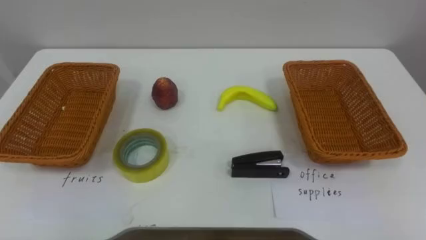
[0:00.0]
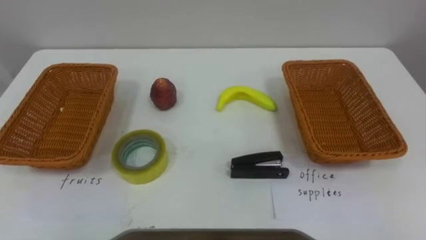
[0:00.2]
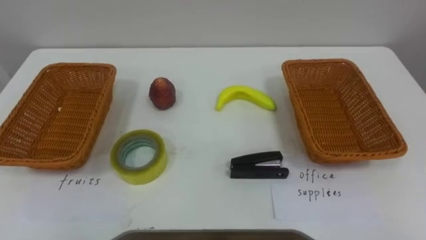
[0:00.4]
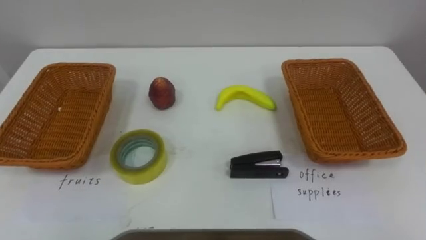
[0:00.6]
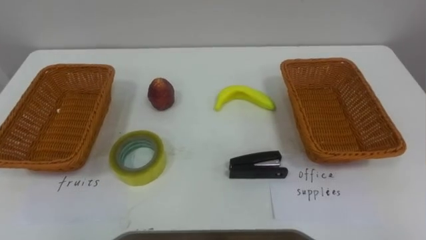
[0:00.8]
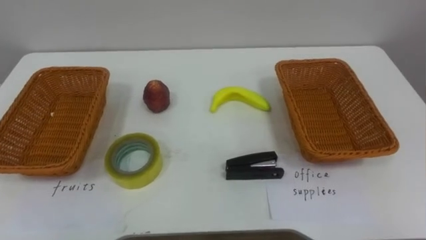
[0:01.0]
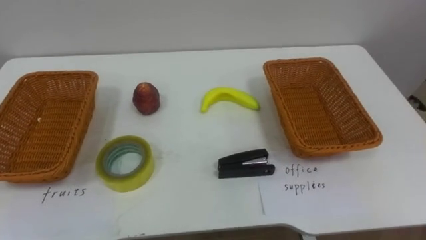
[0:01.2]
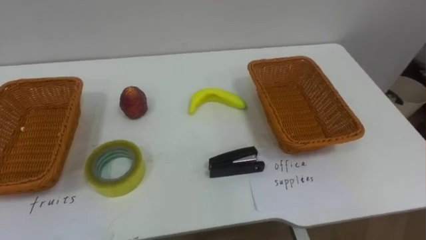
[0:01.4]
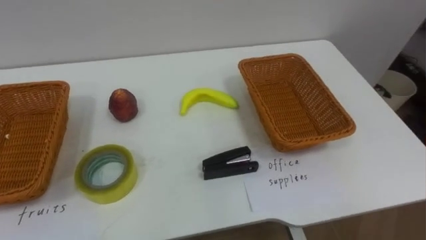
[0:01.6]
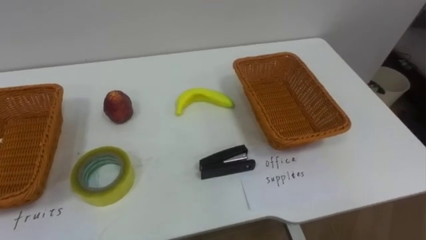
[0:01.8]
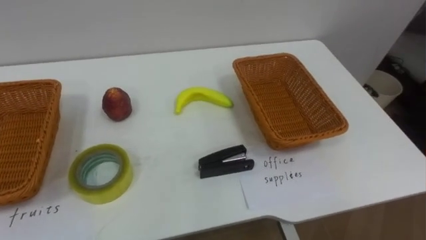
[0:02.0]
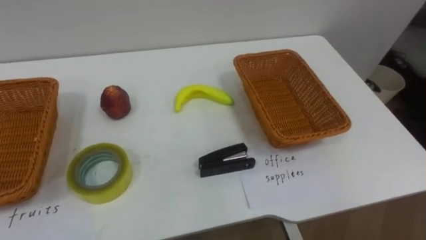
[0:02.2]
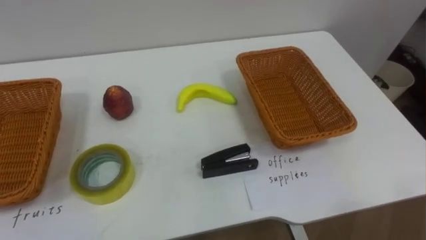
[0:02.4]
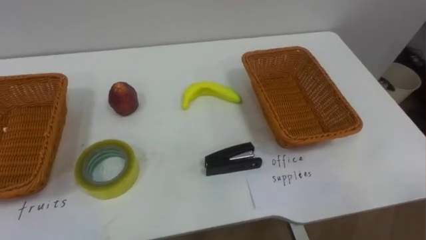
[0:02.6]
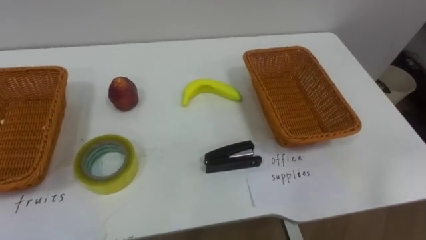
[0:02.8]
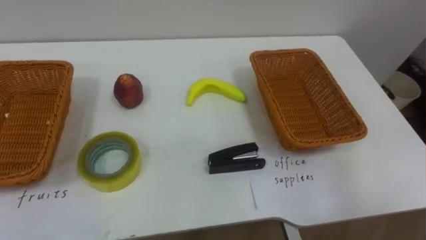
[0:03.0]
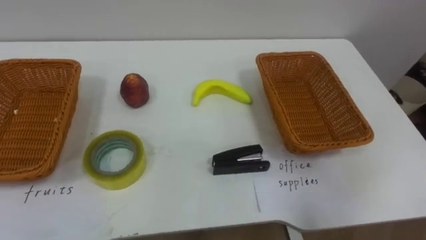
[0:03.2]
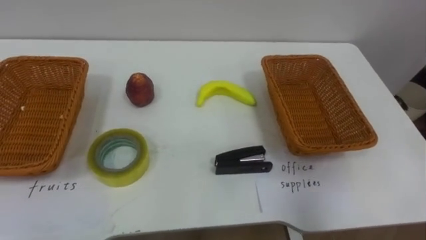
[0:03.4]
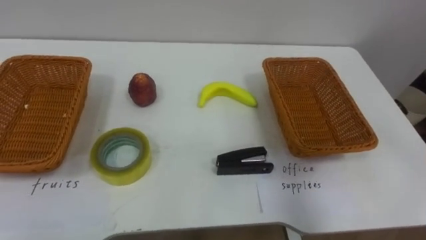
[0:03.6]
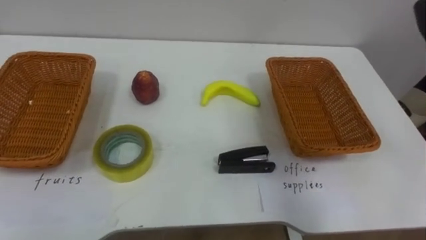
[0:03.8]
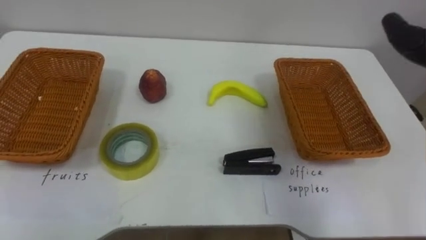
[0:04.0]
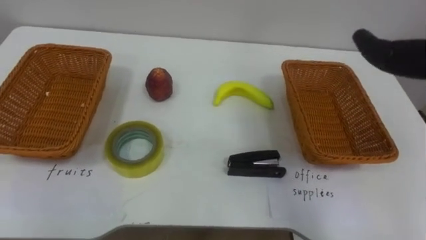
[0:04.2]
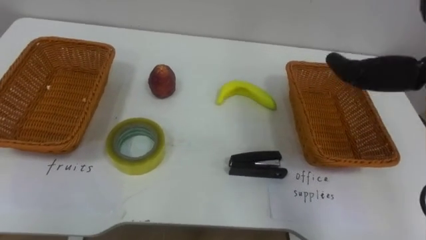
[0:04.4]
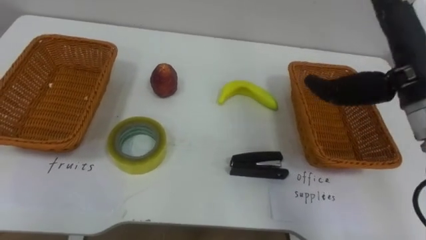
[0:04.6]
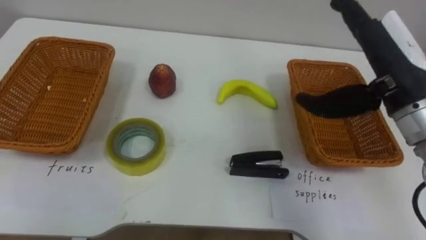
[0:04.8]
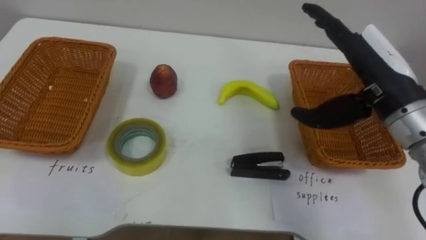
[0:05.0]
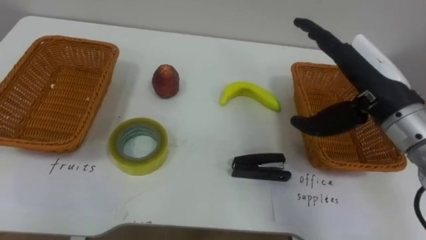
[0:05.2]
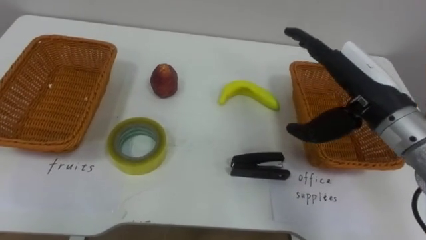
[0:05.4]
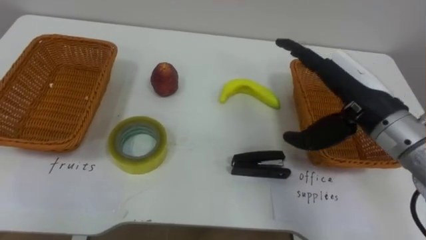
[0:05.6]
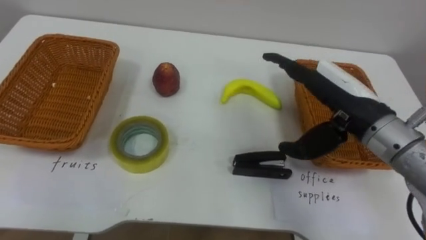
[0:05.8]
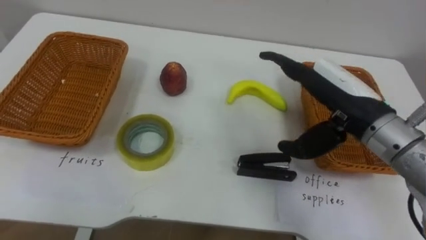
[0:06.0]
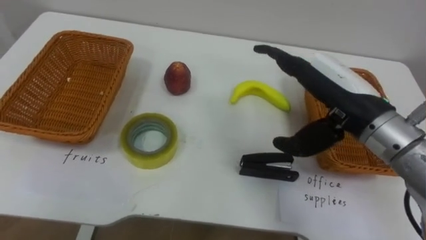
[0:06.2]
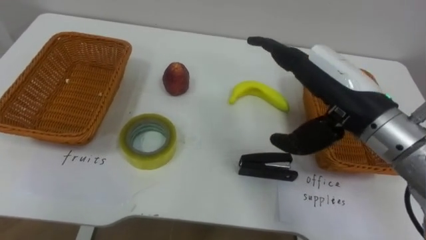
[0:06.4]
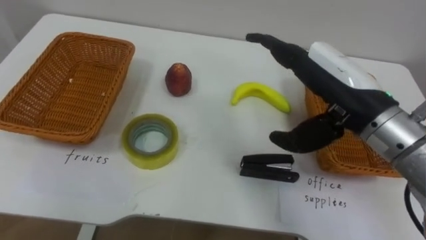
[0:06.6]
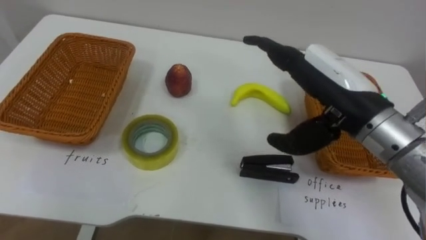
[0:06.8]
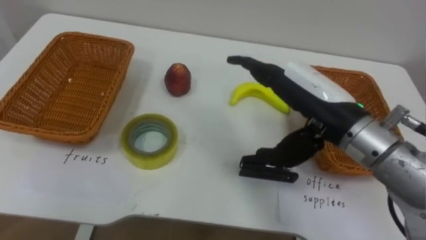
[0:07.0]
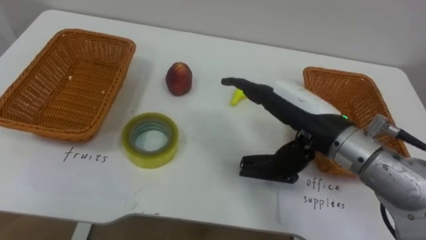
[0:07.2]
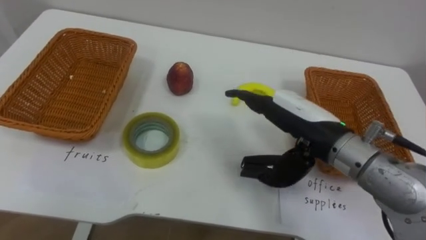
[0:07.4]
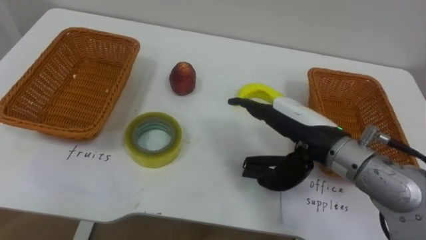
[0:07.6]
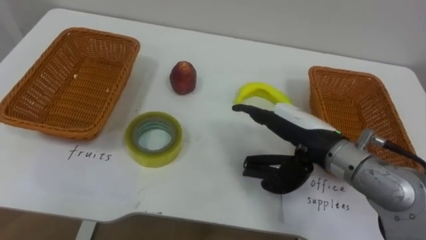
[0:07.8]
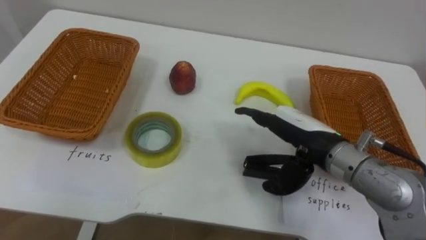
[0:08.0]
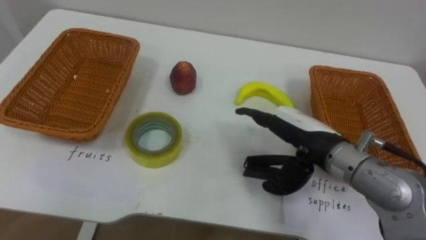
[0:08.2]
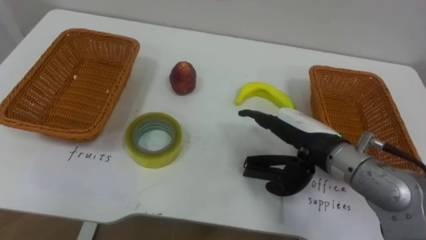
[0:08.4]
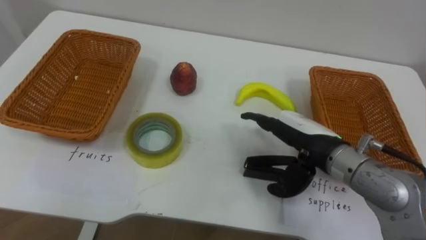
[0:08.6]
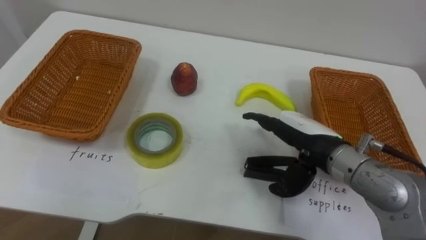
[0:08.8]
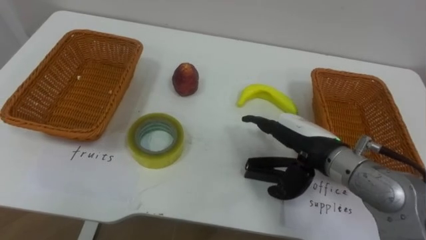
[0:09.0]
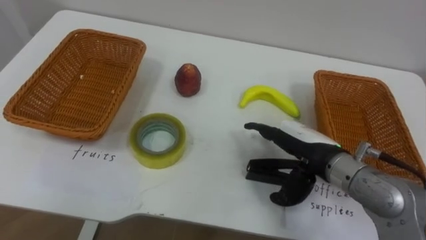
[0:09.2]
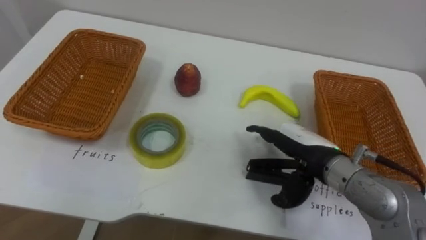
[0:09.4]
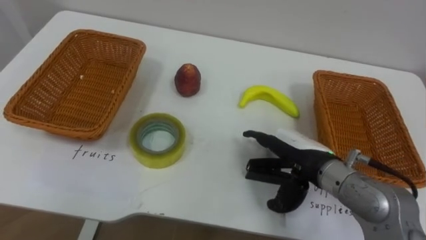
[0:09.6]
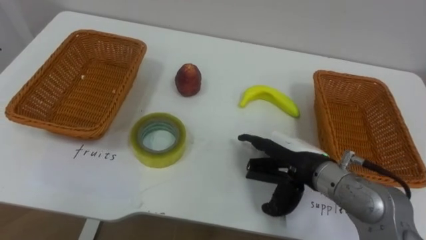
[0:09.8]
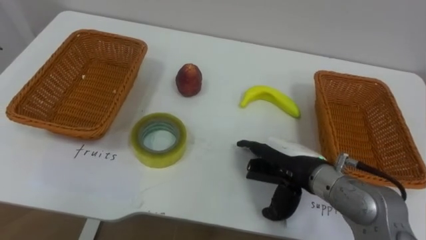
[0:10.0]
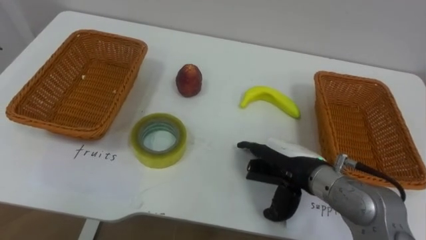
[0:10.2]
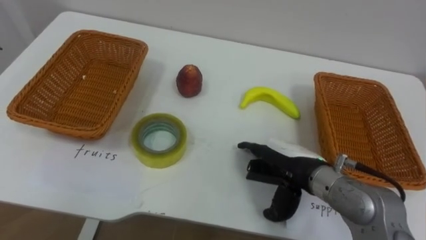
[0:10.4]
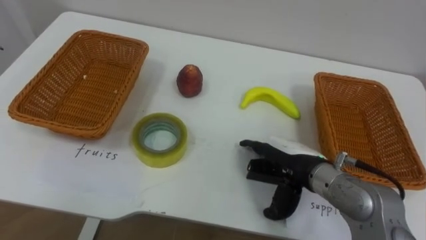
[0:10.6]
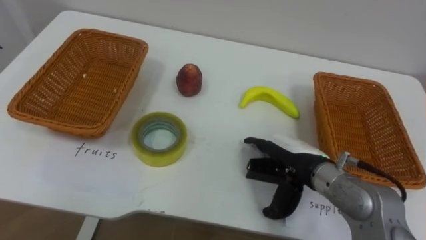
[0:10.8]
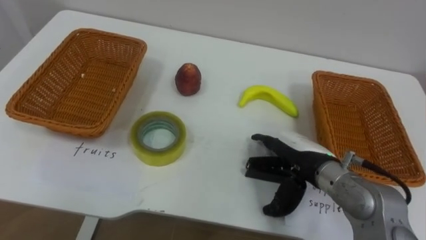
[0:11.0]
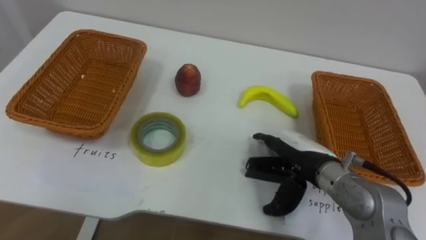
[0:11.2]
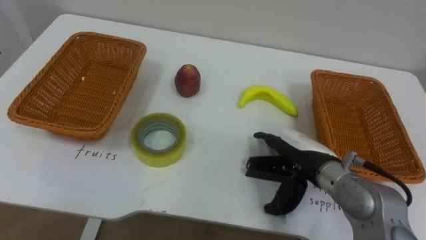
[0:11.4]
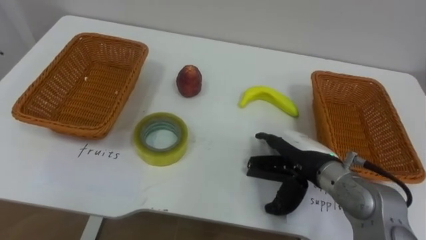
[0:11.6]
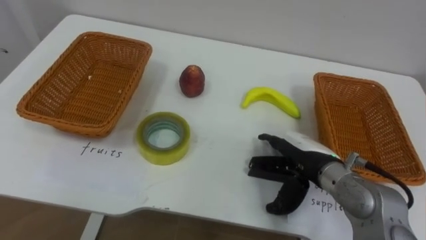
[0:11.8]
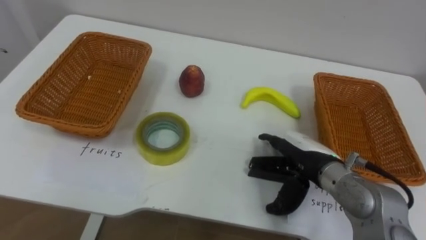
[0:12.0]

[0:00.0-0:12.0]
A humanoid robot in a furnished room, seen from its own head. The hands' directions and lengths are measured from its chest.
Task of the whole recording: Separate the items on the table and place them into the two baskets.
0:06.0 to 0:07.6: The right hand changes place by approximately 5 cm.

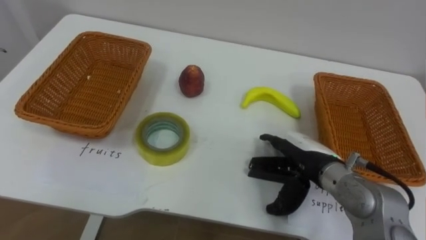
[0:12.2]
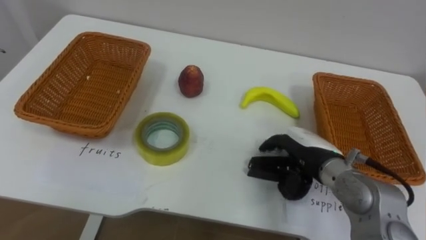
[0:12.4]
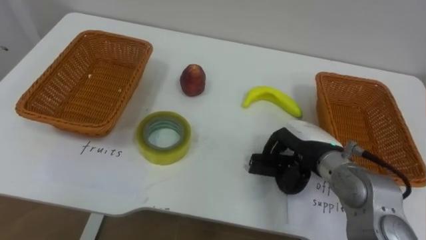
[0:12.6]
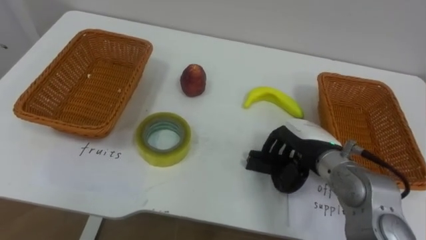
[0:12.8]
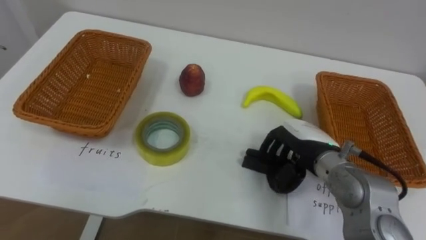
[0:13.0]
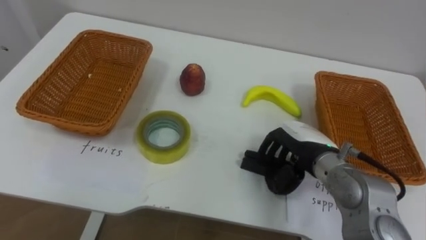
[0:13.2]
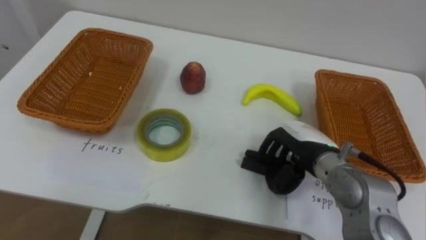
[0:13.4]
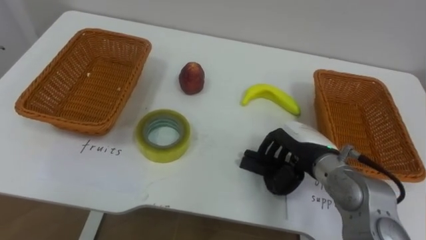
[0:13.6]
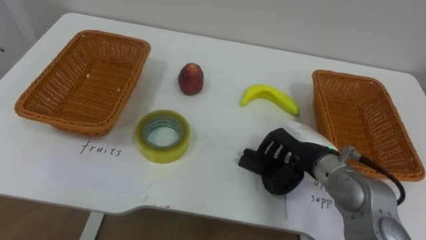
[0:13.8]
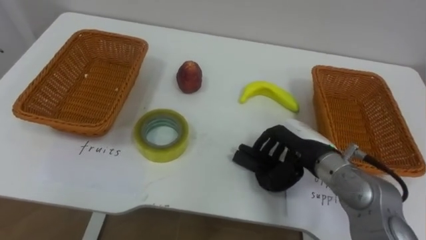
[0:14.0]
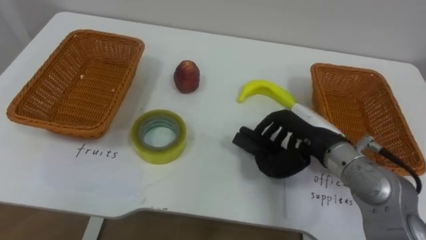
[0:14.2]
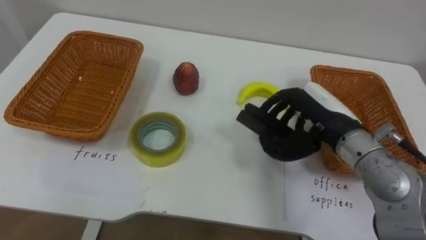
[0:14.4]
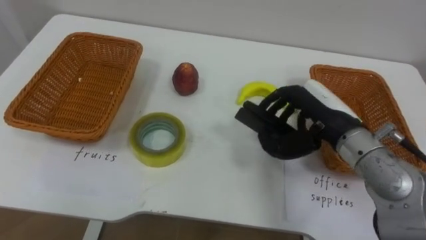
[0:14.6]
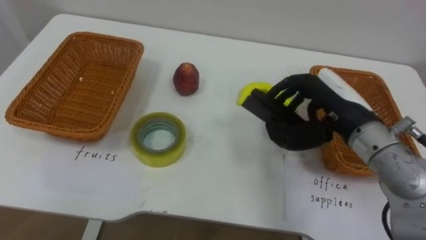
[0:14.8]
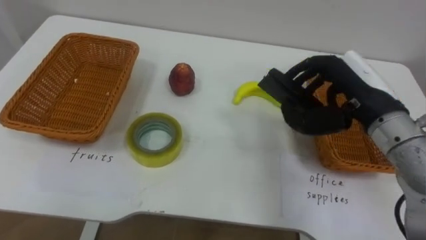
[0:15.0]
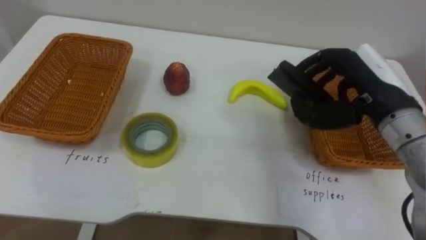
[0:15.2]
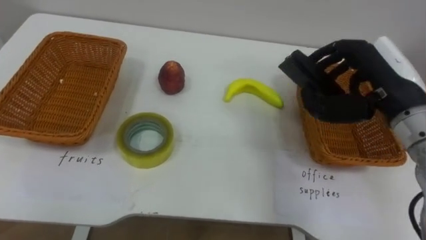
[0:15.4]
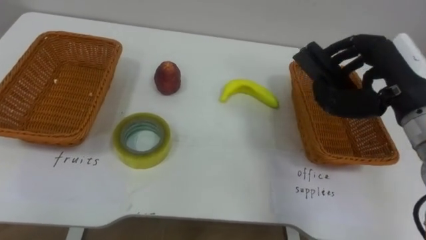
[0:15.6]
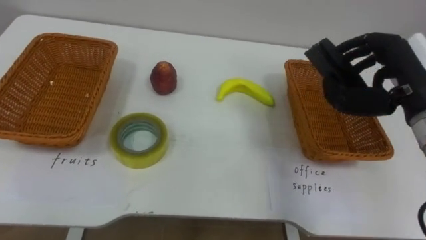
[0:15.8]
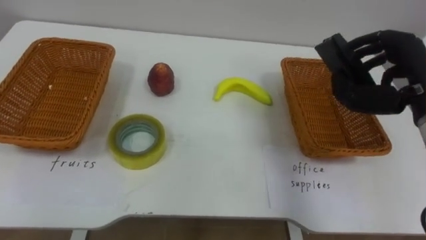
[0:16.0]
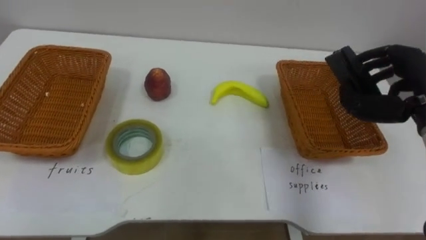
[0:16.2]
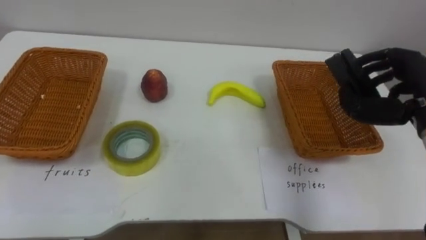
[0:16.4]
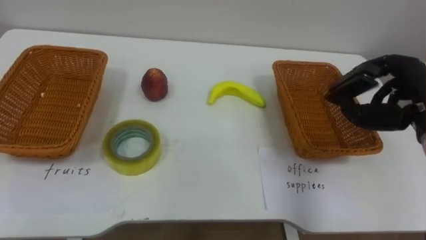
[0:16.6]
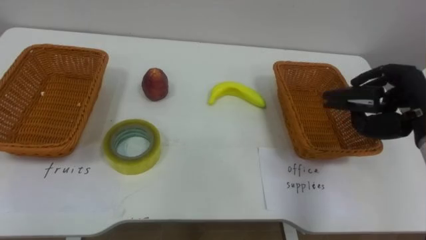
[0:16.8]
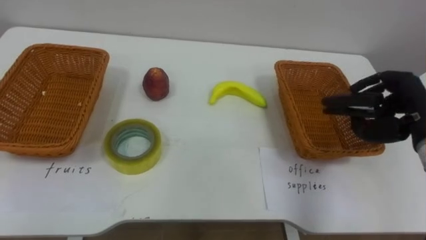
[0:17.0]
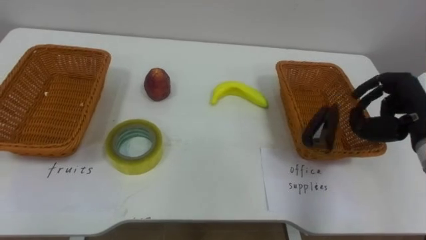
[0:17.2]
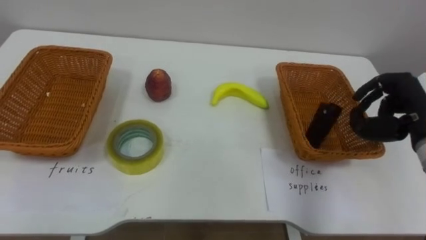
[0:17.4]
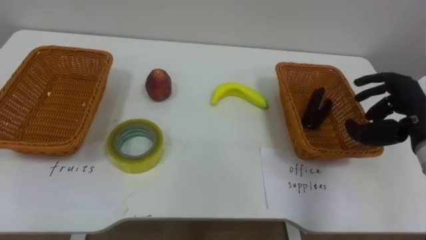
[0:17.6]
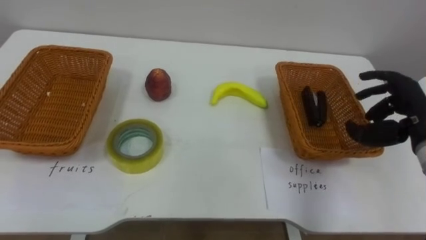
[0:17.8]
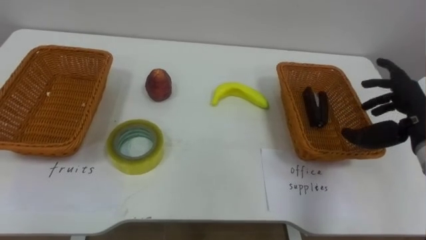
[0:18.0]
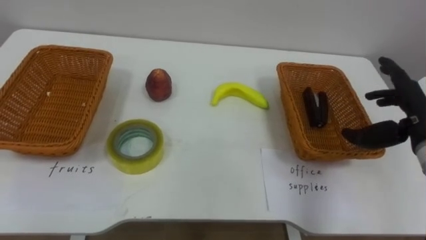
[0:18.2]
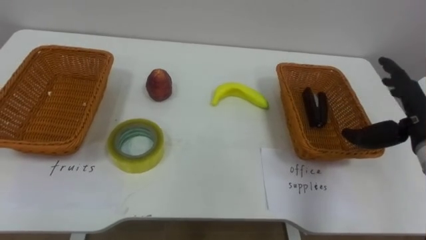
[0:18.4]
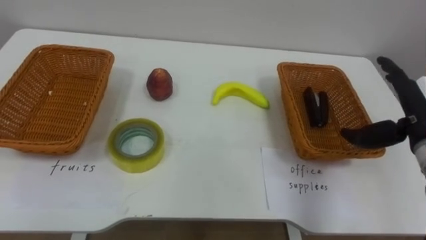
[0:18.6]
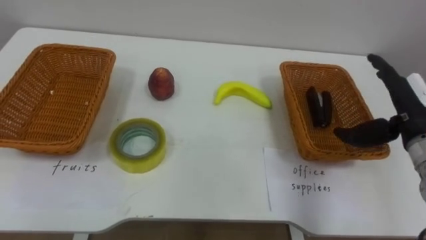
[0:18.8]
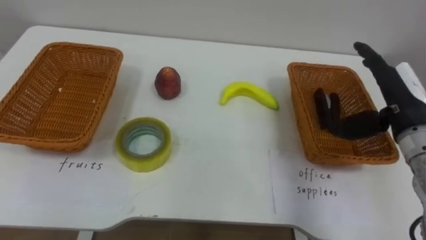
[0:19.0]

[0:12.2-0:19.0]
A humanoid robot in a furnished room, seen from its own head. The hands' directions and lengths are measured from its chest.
Task of the whole recording: Separate the items on the table and place them into the two baskets.
0:12.2 to 0:13.6: The right hand closes.
0:13.6 to 0:15.0: The right hand goes approximately 15 cm upward and to the right.
0:15.0 to 0:16.2: The right hand goes some 10 cm to the right.
0:17.6 to 0:19.0: The right hand opens up.
